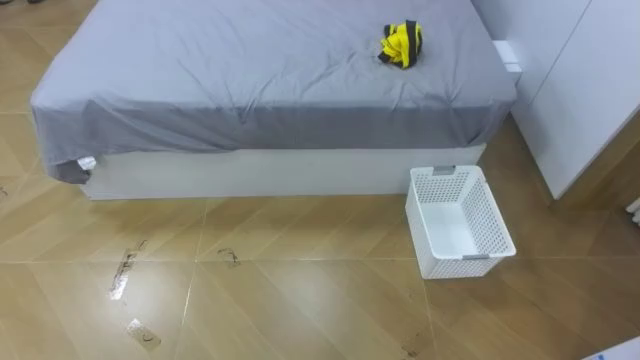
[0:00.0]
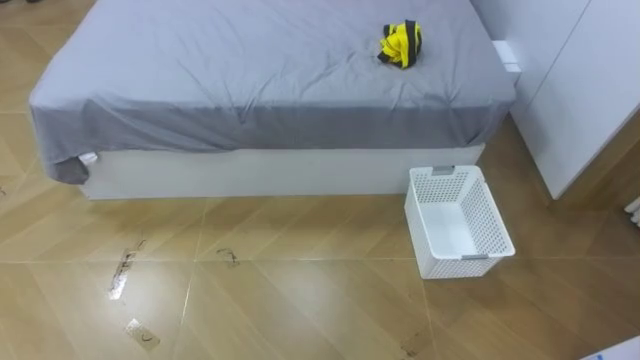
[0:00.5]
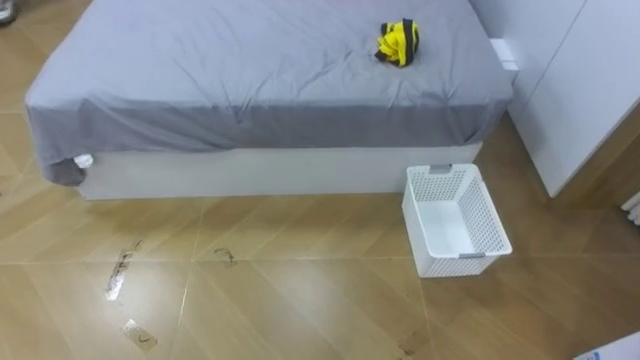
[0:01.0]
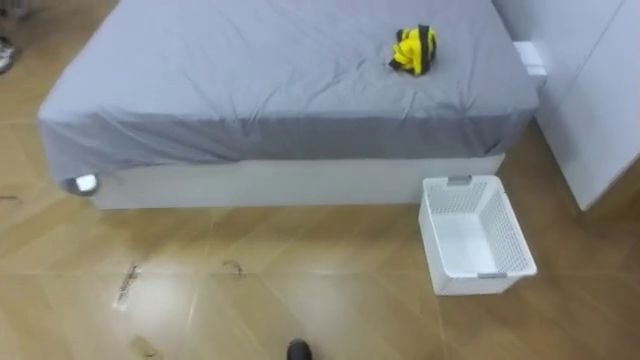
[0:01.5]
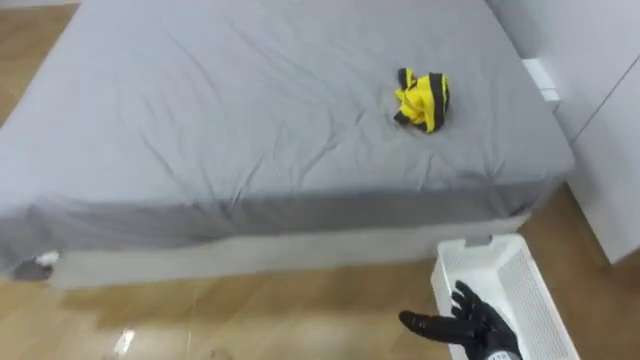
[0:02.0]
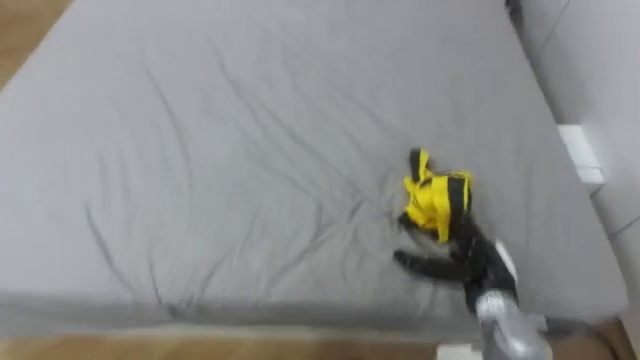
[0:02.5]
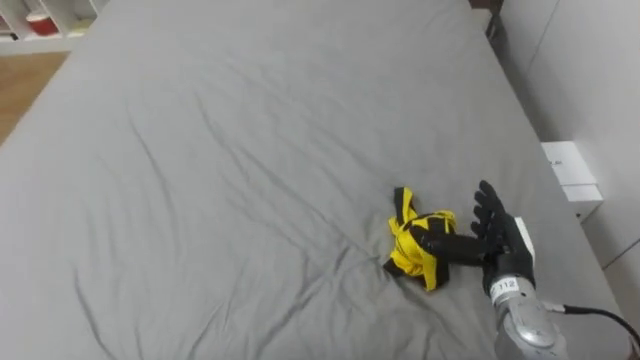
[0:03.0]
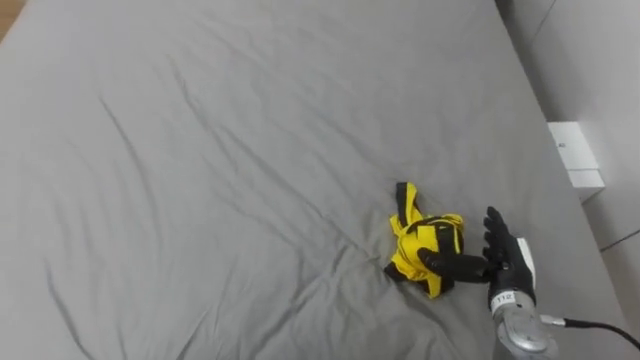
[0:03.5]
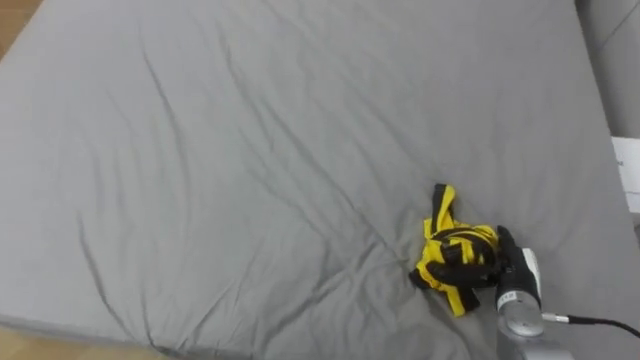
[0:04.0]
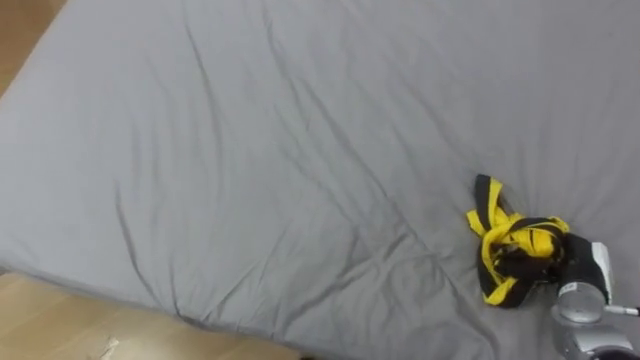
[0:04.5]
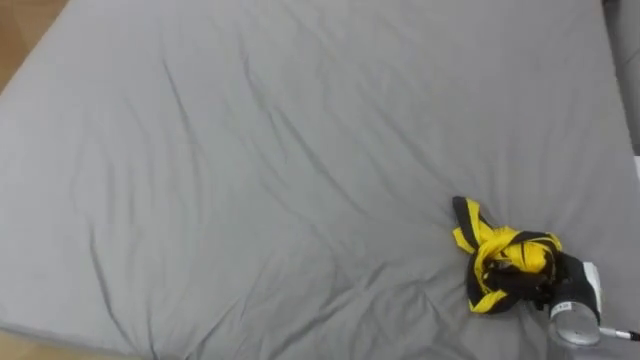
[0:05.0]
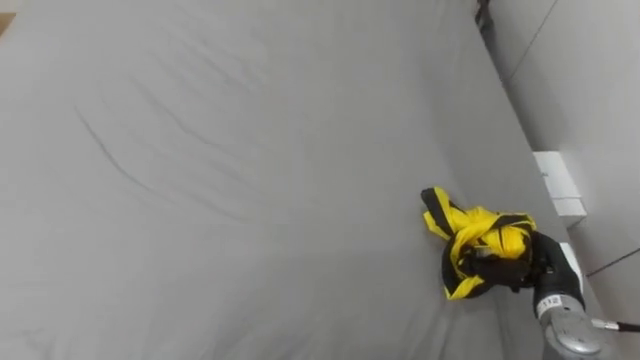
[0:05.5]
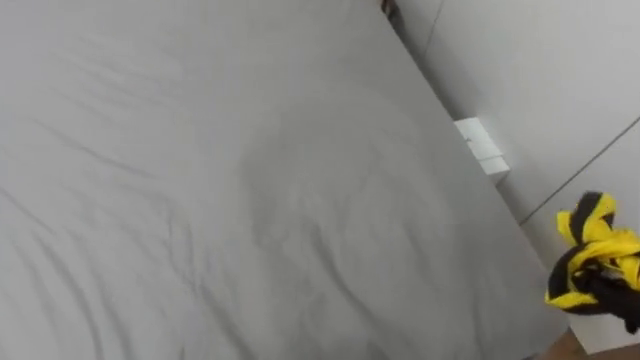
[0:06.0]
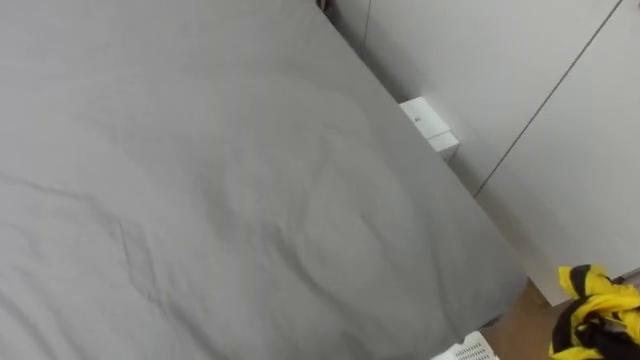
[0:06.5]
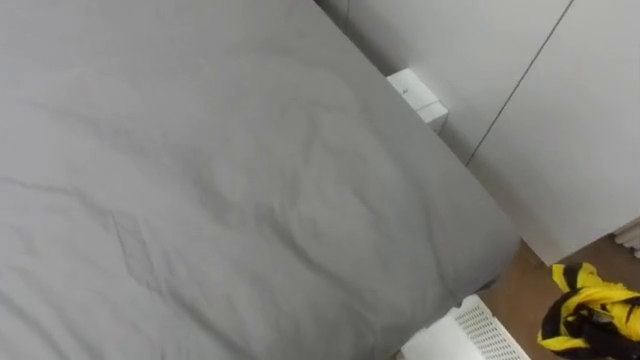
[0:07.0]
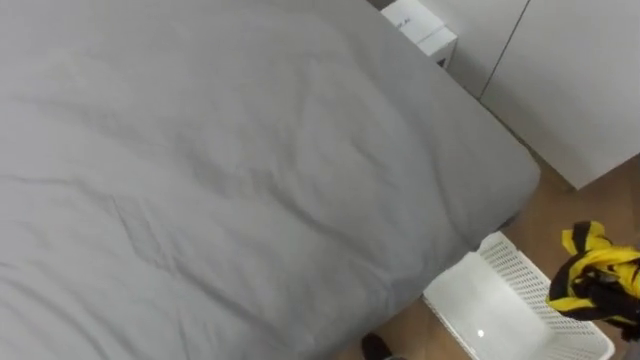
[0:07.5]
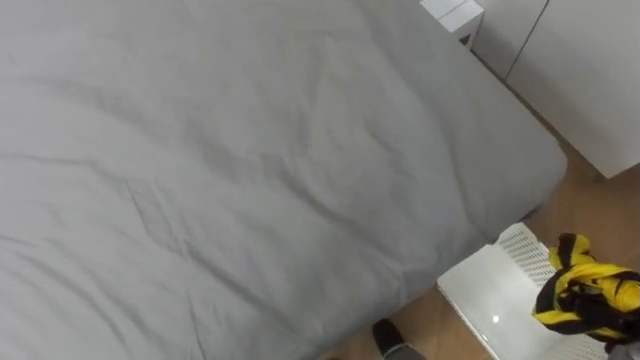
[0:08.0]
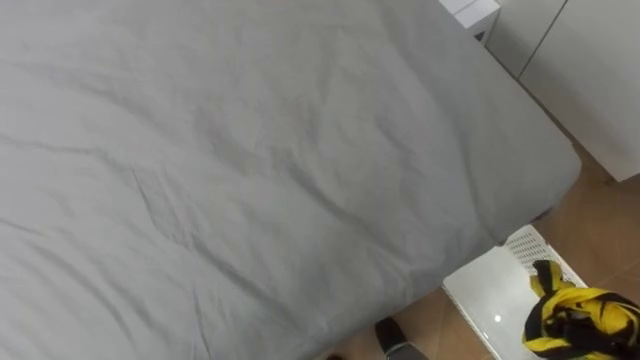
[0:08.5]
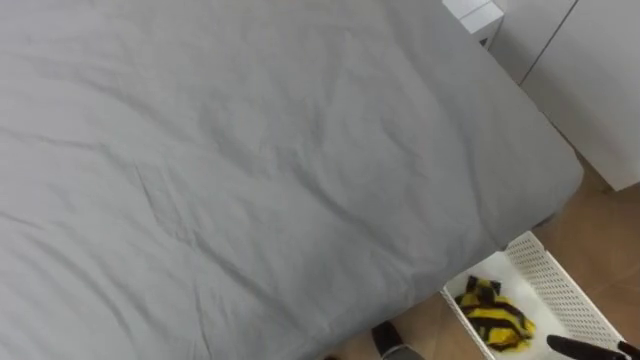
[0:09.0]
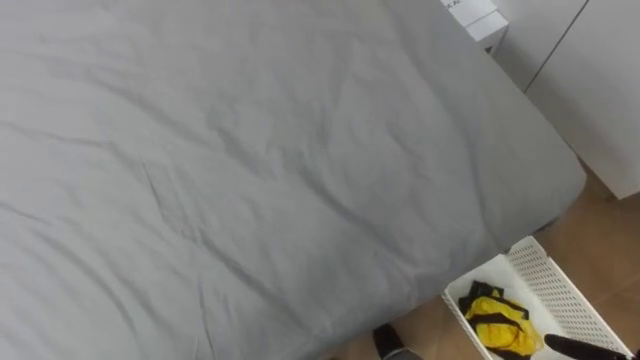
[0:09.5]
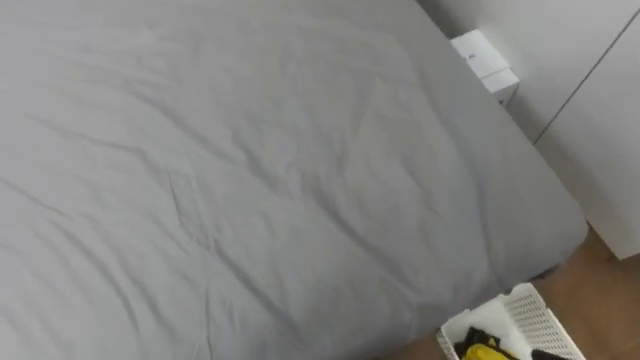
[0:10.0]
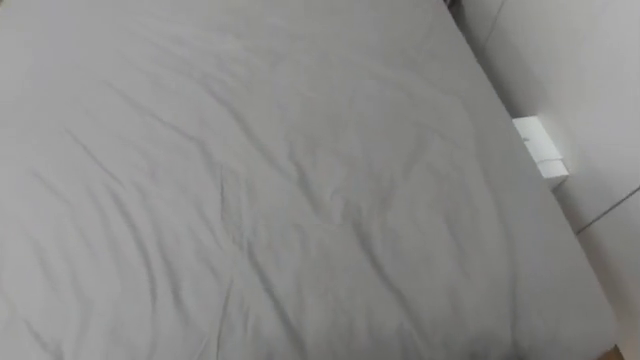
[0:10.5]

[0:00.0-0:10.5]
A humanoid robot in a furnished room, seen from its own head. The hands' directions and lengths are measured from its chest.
Task of the whole recording: Pick up the yellow clothes on the bed and place them into the white basket on the right.
0:02.0 to 0:04.0: The right hand moves forward, roughly 10 cm.
0:08.5 to 0:10.5: The robot faces some 15 degrees further to its left.

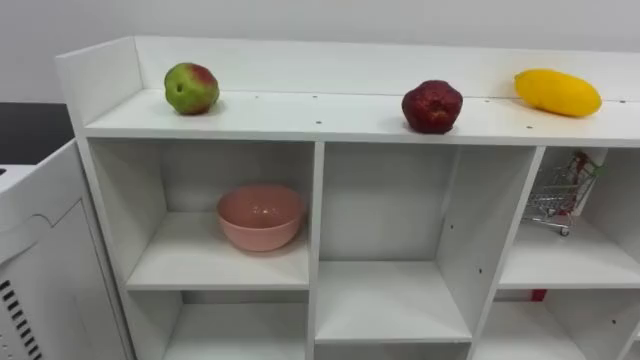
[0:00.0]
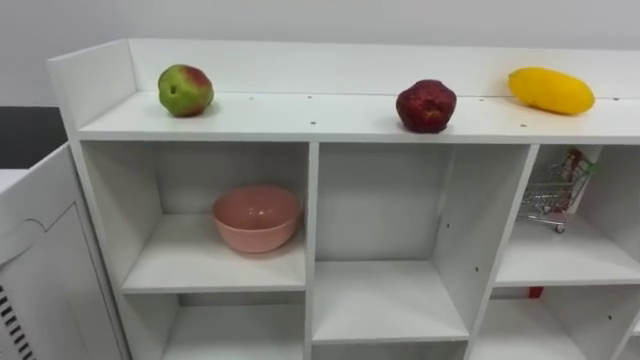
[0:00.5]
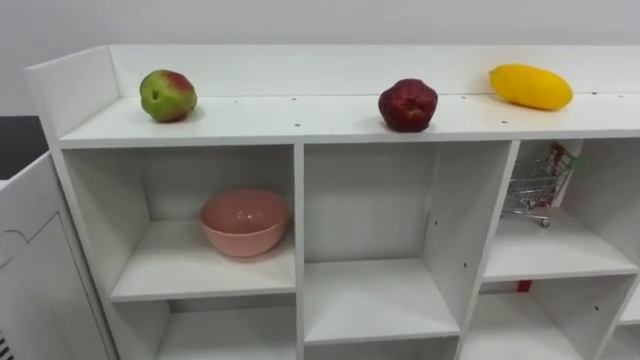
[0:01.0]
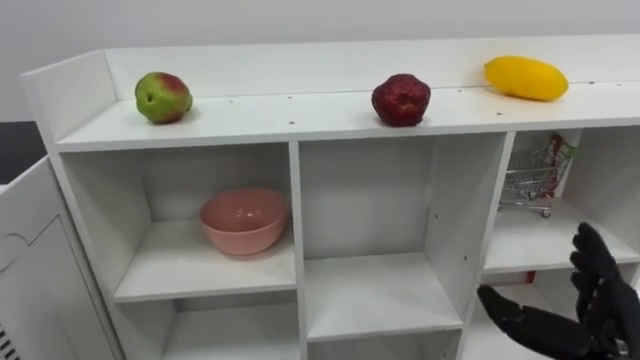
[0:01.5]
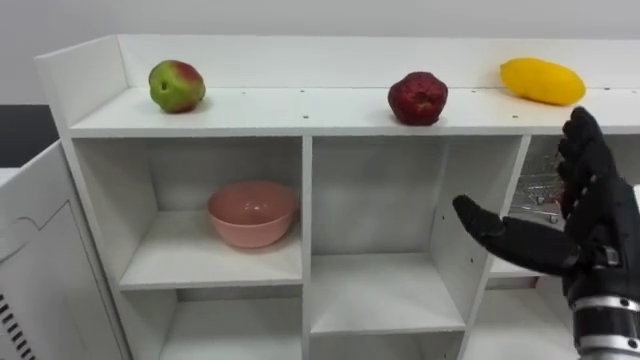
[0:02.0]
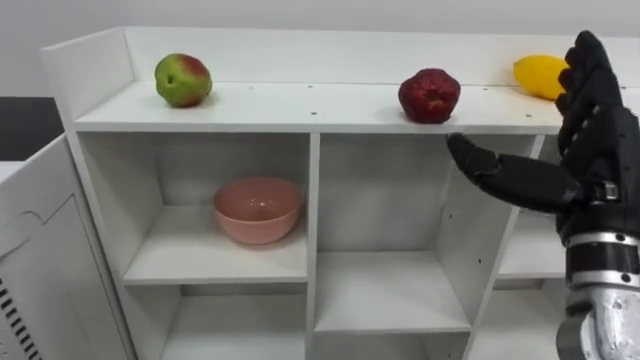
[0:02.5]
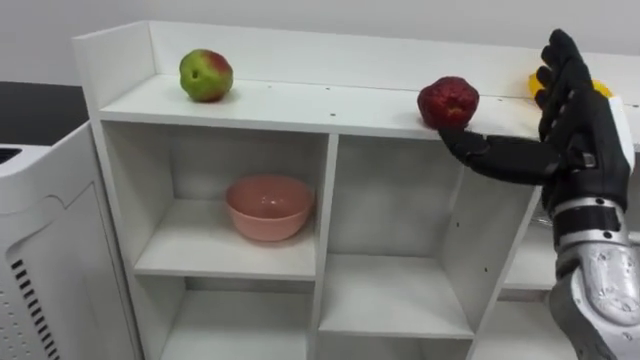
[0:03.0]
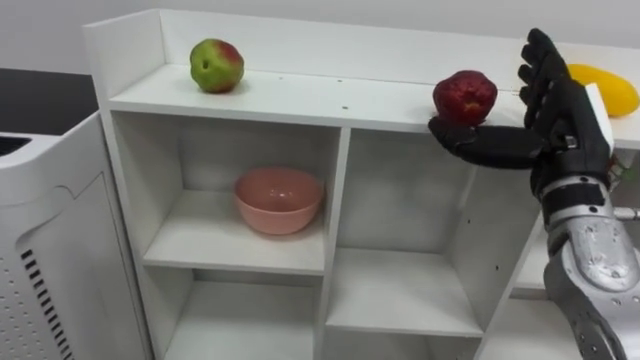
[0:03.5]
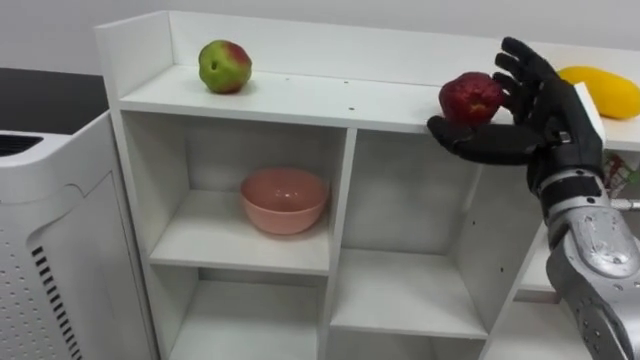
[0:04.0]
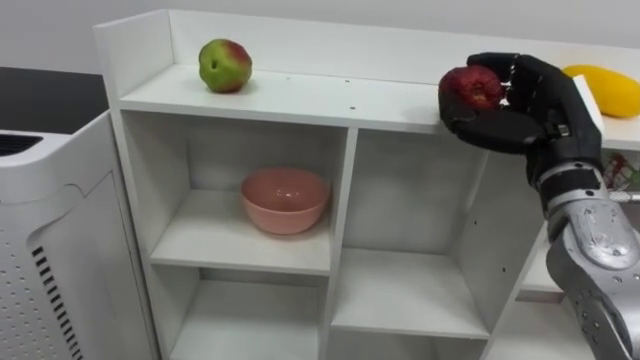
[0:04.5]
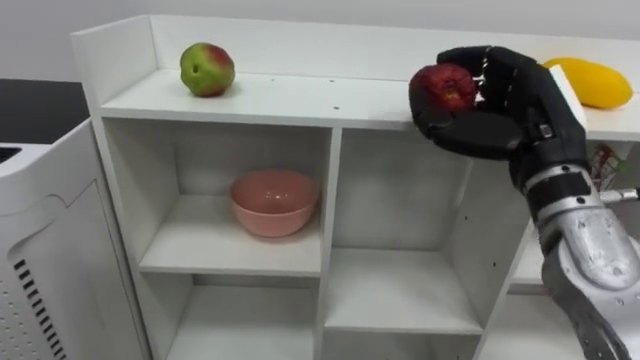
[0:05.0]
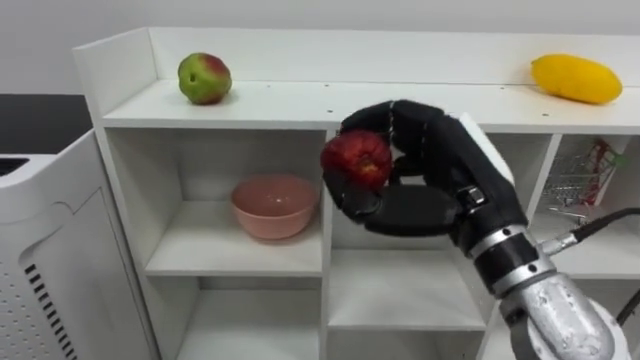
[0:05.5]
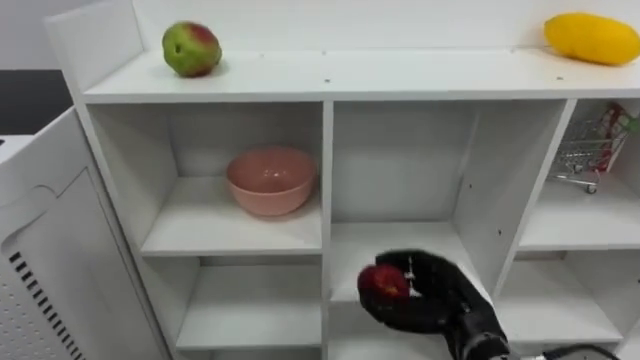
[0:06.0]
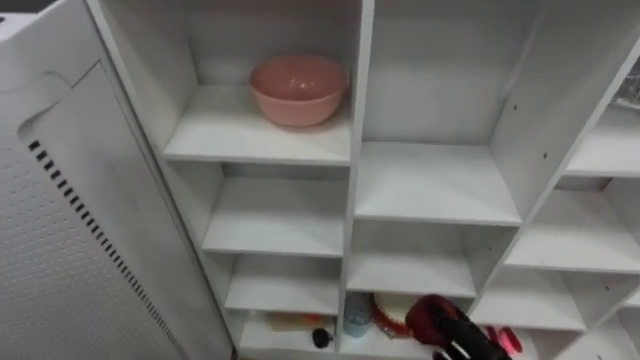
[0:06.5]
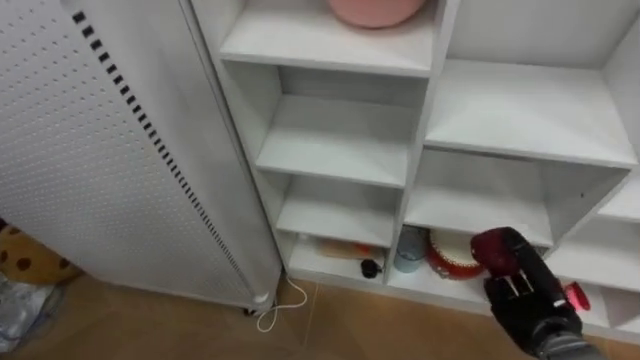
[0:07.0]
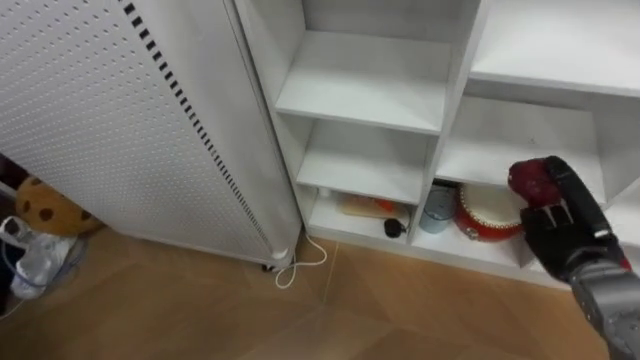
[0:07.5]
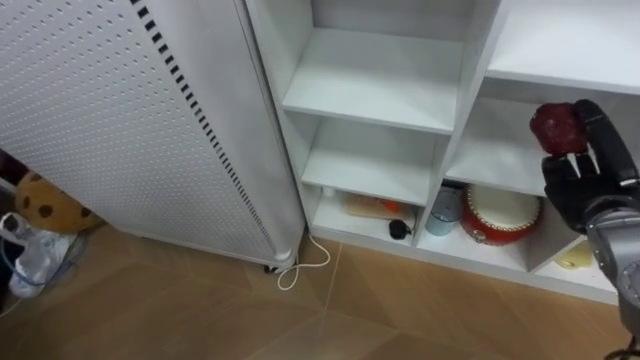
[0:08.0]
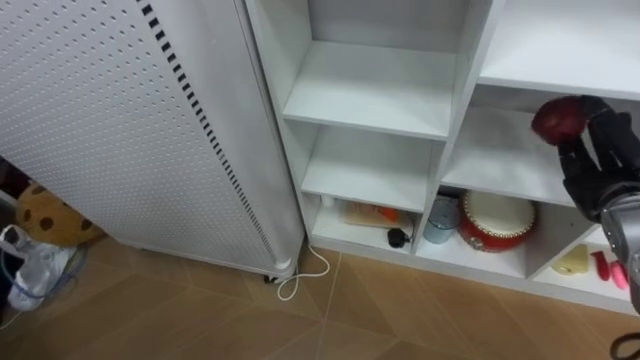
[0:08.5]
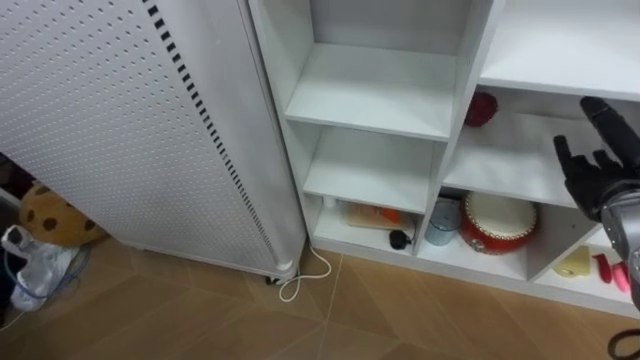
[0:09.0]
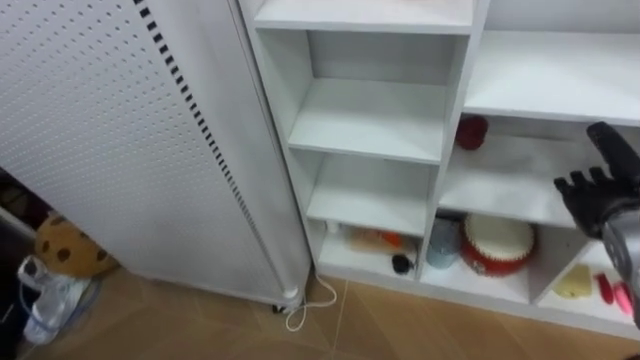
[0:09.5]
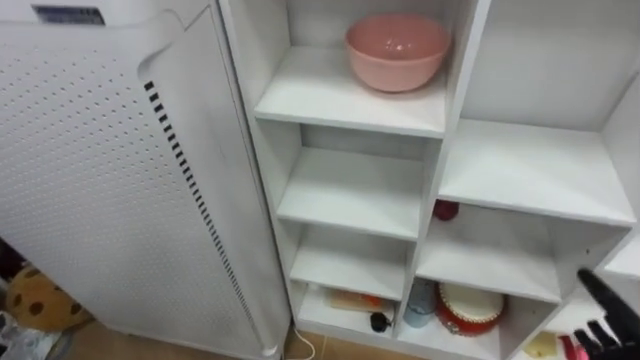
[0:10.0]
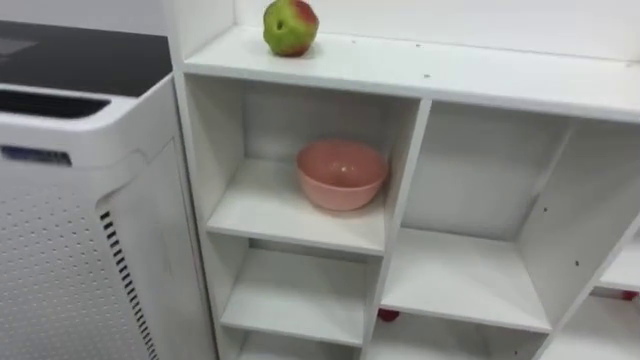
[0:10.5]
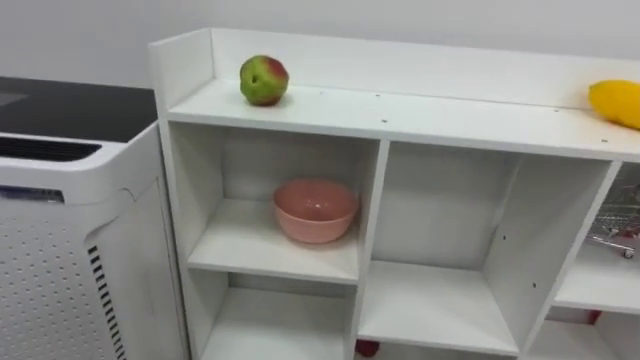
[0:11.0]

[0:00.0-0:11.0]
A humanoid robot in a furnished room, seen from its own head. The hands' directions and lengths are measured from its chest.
Task of the whole recording: Put the apple in the cell in the second column from the left and the second row from the top.
0:02.0 to 0:03.5: The right hand is displaced forward and upward by about 10 cm.
0:03.5 to 0:05.5: The right hand moves to the left, about 10 cm, and closes its fingers.
0:07.5 to 0:09.0: The right hand goes some 10 cm upward, and opens its fingers.
